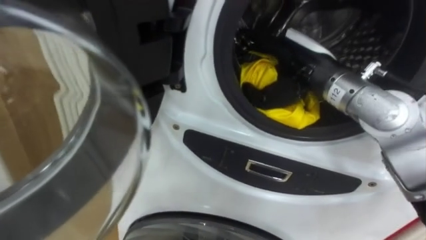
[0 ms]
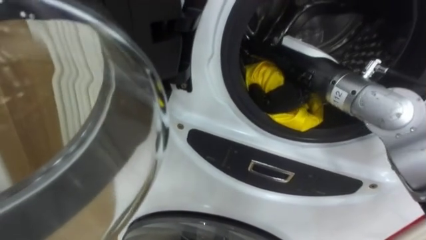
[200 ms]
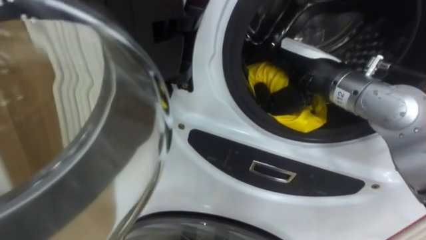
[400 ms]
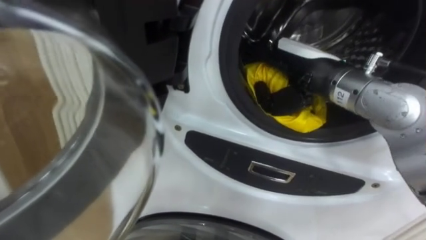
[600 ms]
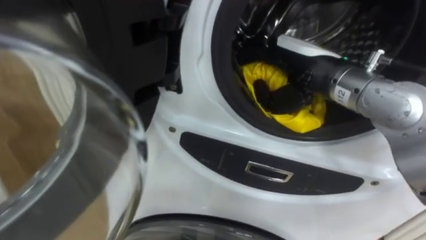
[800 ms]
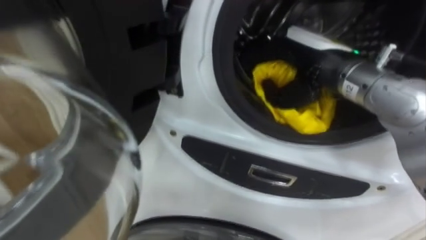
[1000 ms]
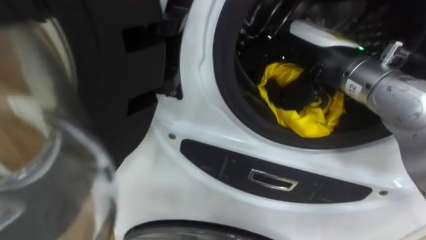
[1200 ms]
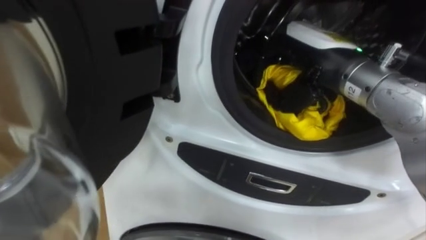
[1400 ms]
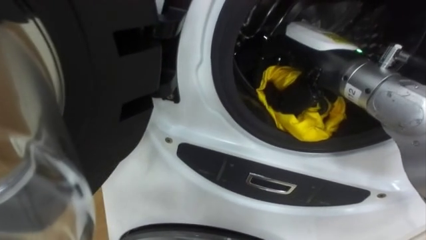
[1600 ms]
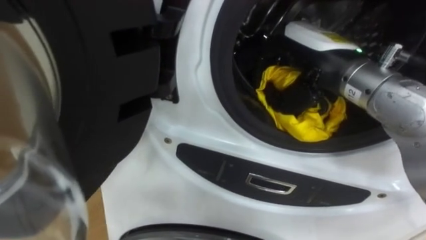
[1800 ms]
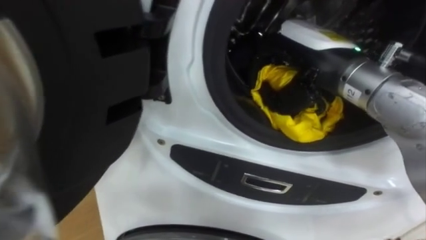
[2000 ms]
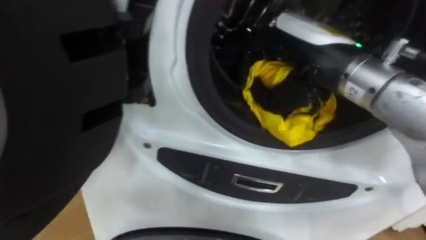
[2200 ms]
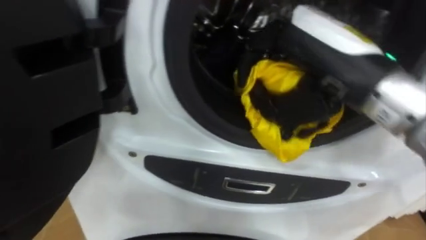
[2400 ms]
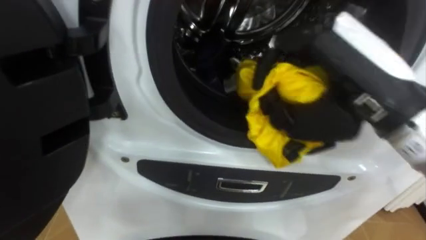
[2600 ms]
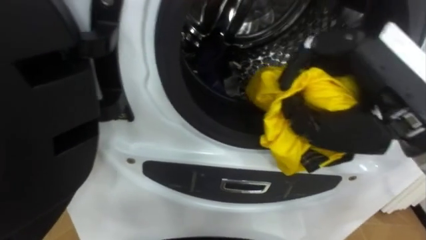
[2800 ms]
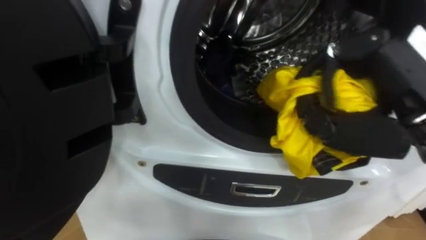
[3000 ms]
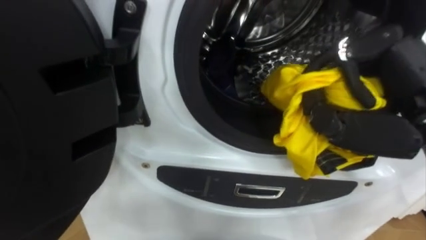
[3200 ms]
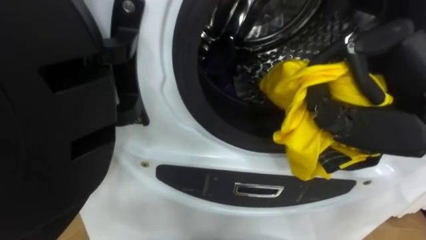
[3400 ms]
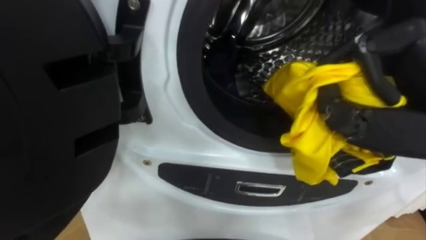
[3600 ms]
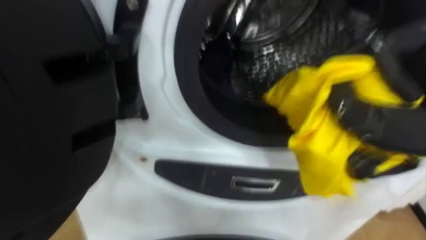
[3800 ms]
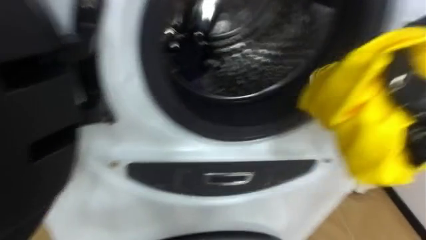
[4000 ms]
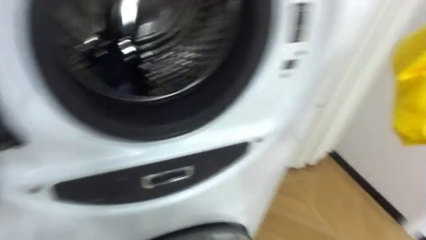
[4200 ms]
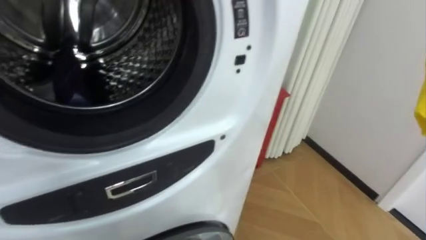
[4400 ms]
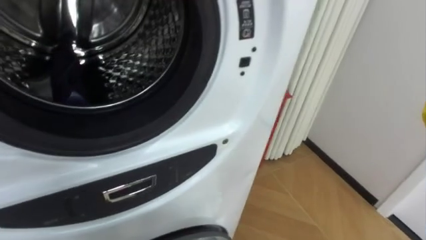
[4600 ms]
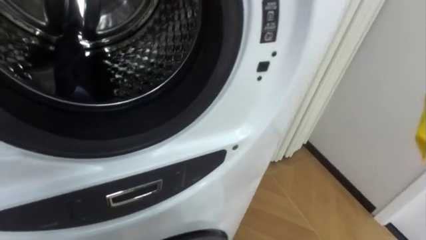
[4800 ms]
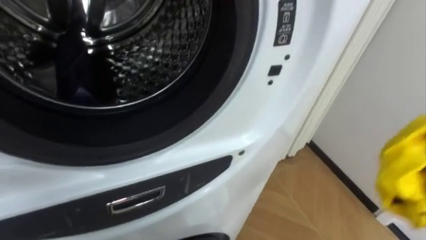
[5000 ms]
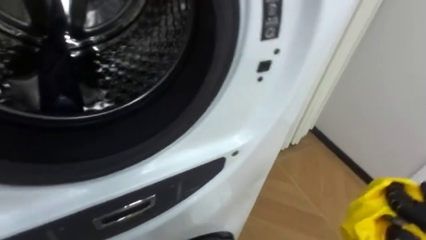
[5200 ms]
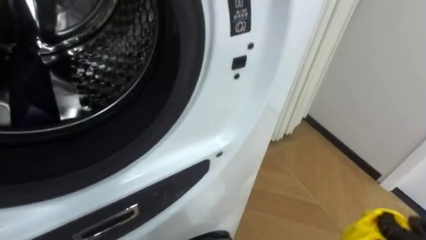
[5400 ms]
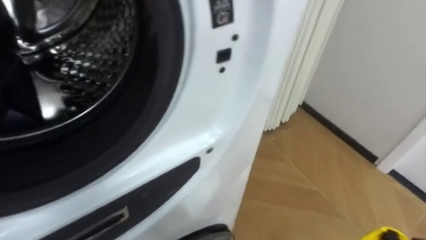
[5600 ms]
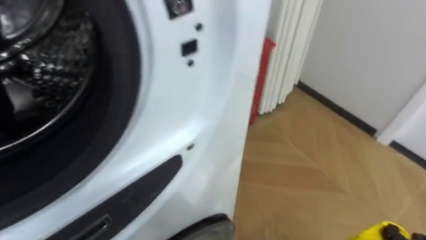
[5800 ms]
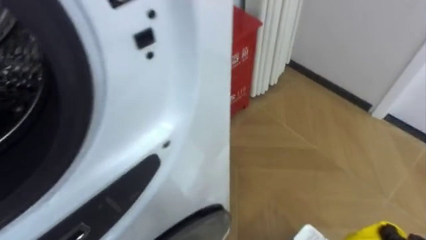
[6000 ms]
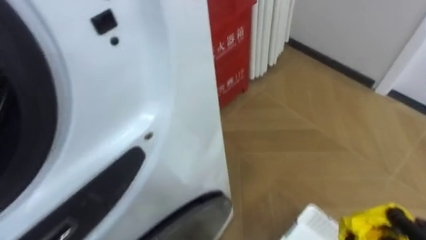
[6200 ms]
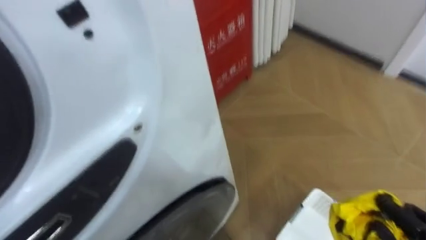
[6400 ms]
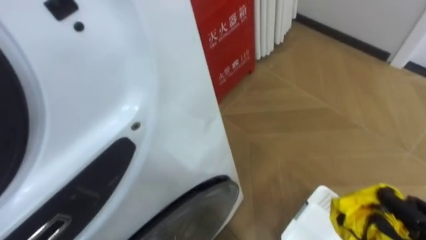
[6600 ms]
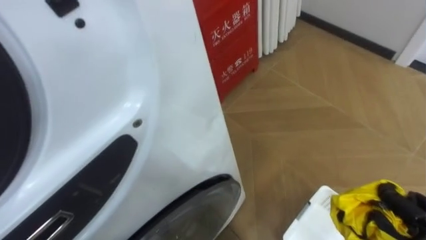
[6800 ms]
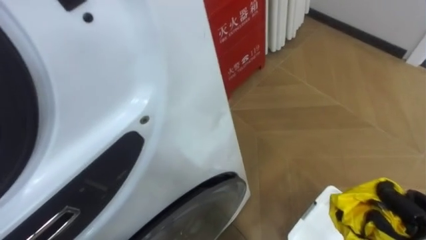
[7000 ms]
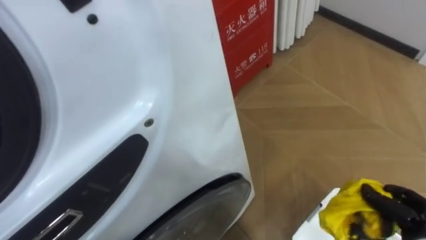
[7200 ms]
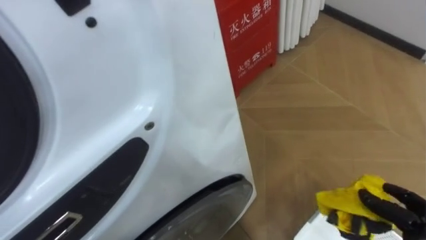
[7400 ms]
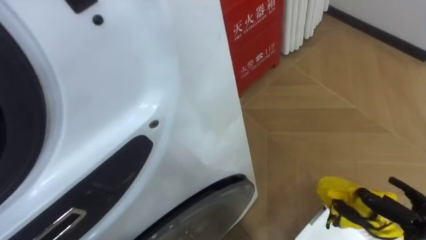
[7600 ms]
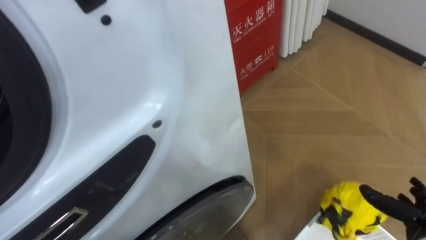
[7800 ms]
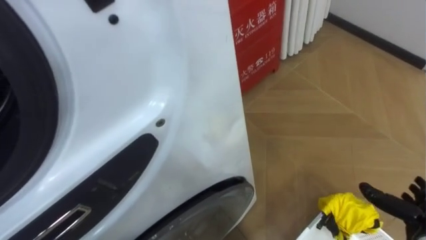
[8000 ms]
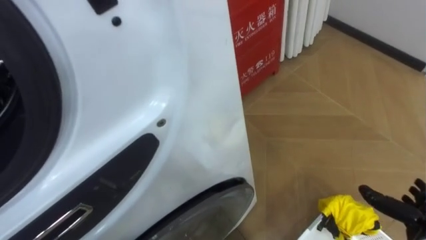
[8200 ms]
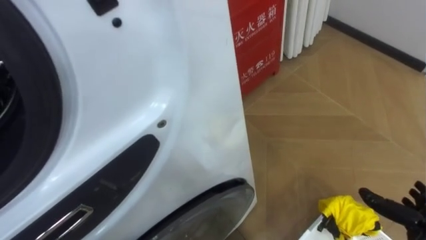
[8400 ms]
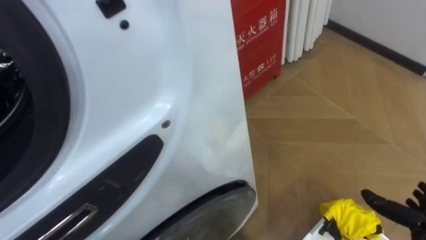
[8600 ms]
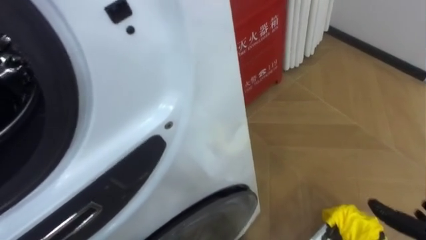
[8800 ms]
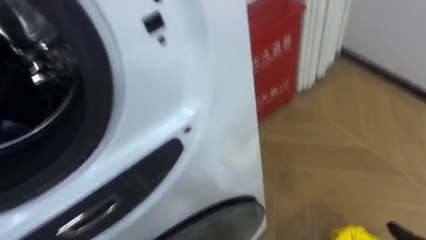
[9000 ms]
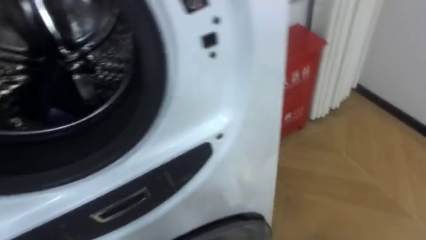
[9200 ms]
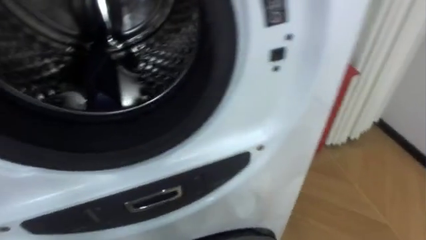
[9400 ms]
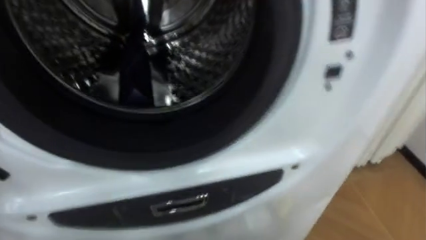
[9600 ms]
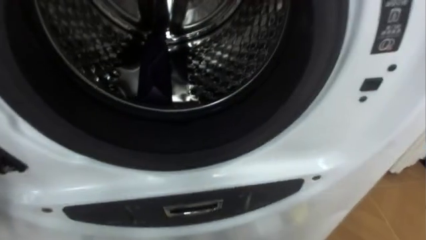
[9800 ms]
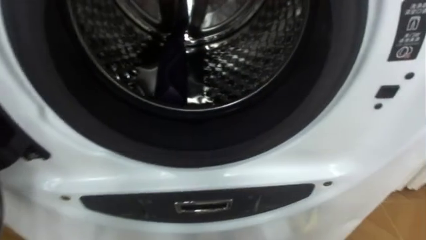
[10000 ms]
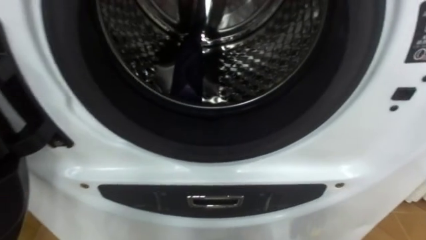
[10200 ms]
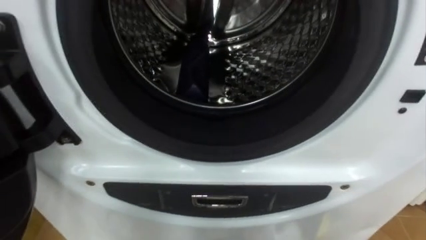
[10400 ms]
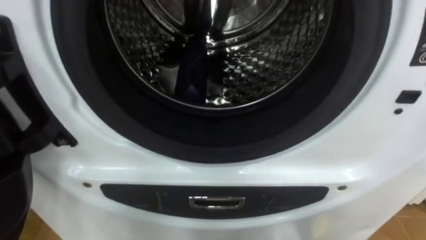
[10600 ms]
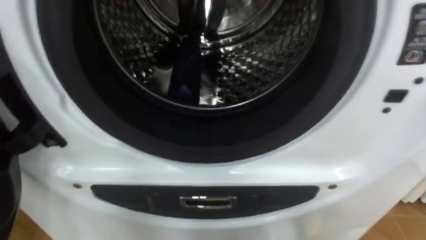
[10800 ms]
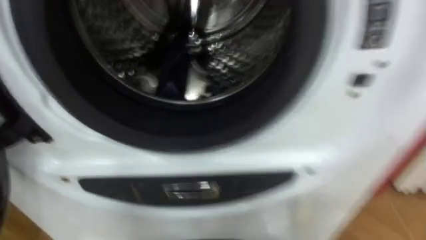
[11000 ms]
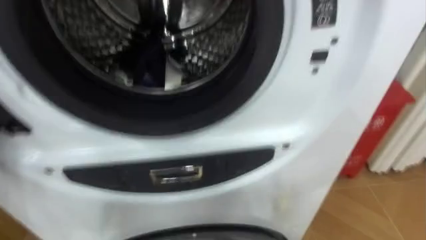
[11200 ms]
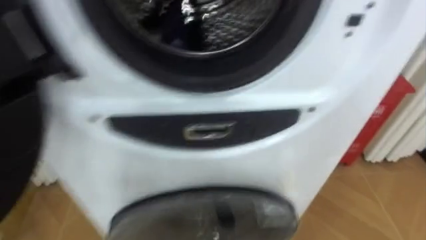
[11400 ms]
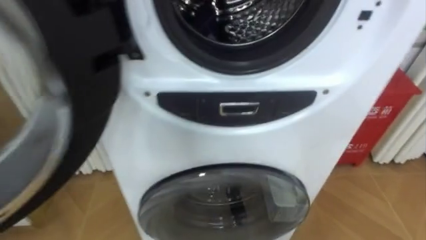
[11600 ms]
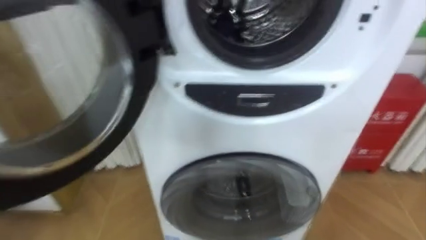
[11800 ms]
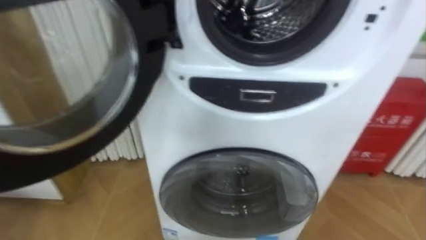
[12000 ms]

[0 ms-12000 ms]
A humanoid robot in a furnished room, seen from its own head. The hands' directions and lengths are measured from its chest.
Task of the whole recording: Open the washing machine door, take out the yellow clothes, place them in the box on the right, and close the washing machine door.
0 ms to 1600 ms: The right hand closes.
1600 ms to 3000 ms: The right hand goes about 15 cm backward and to the right.
